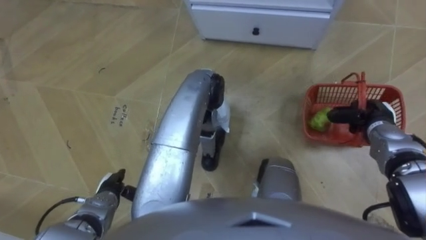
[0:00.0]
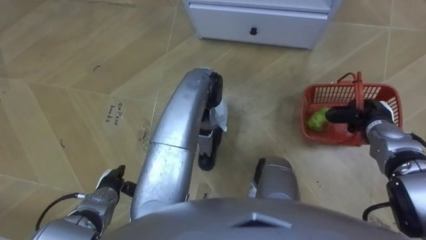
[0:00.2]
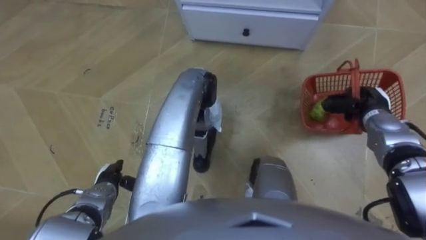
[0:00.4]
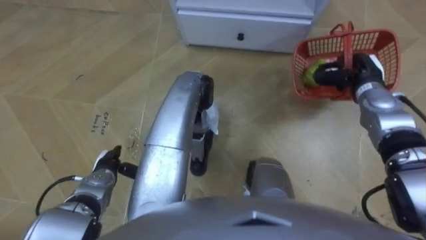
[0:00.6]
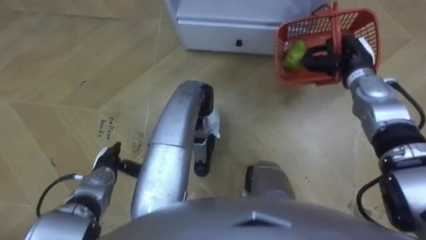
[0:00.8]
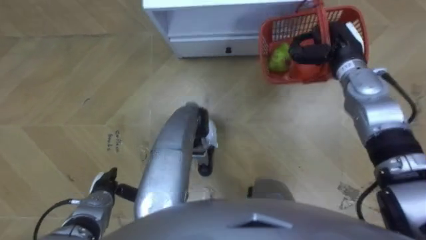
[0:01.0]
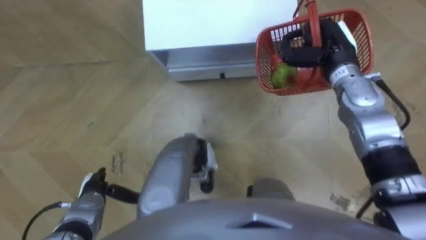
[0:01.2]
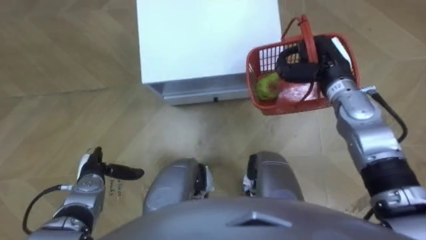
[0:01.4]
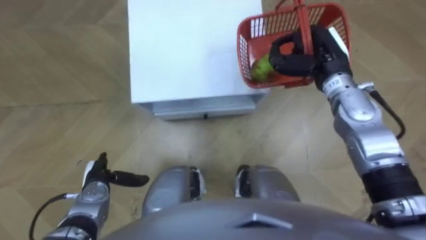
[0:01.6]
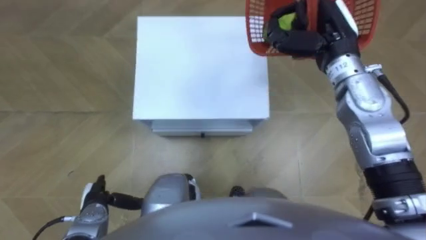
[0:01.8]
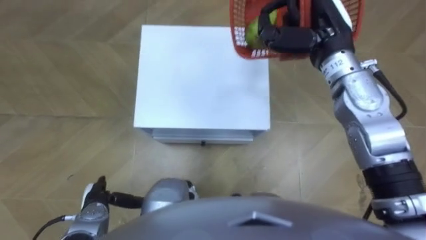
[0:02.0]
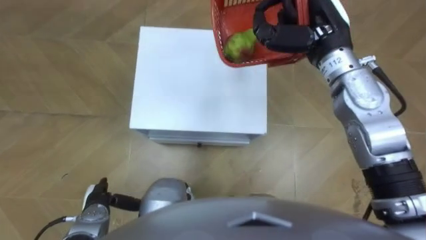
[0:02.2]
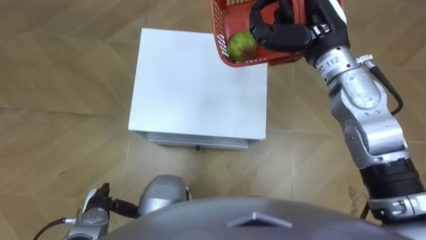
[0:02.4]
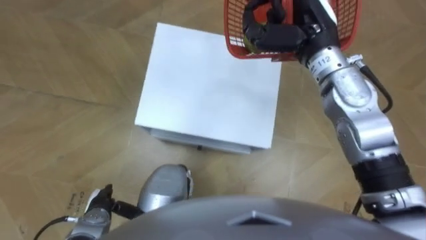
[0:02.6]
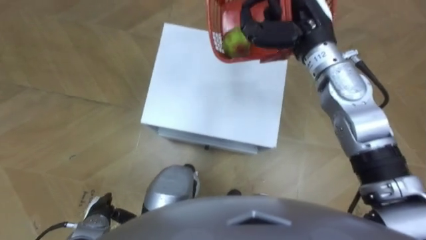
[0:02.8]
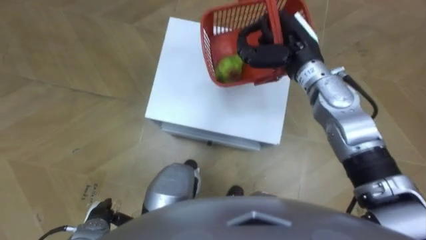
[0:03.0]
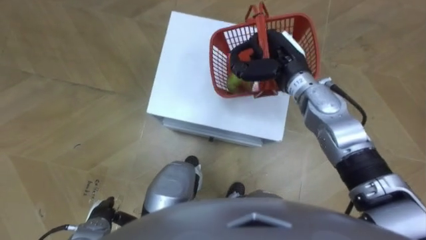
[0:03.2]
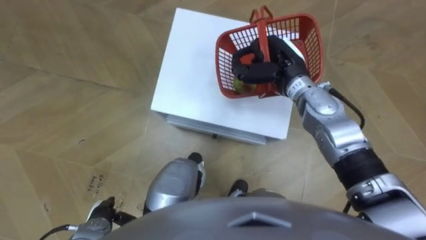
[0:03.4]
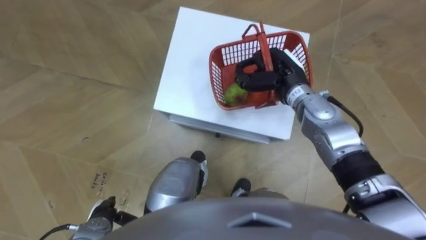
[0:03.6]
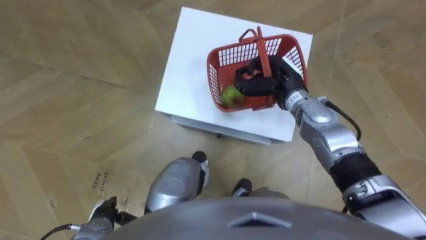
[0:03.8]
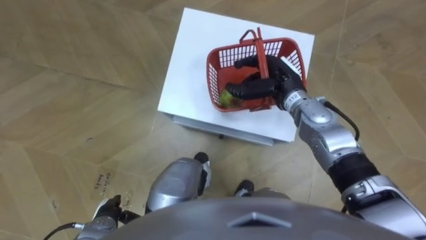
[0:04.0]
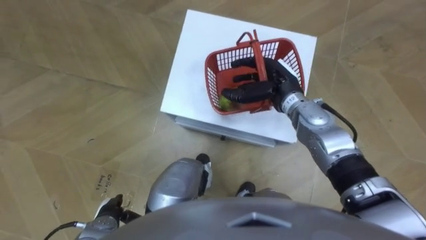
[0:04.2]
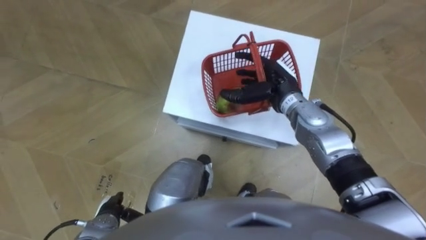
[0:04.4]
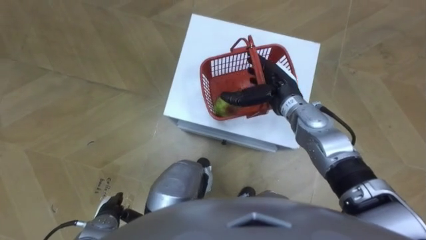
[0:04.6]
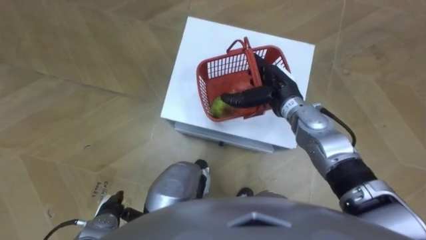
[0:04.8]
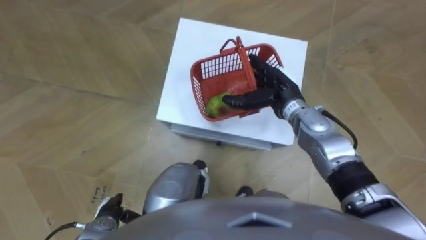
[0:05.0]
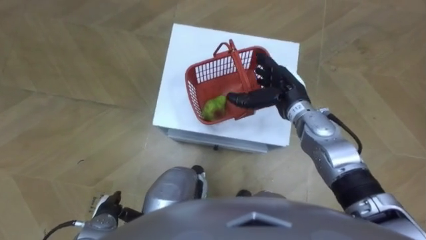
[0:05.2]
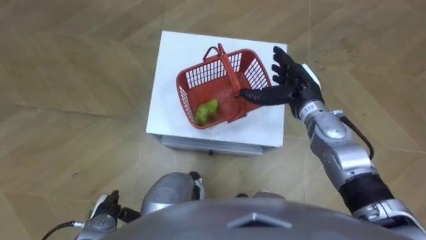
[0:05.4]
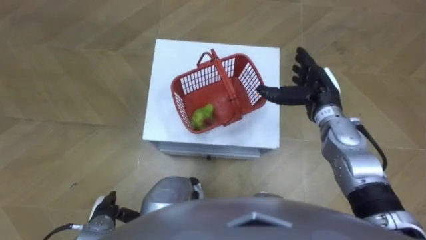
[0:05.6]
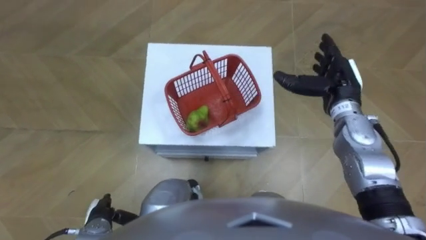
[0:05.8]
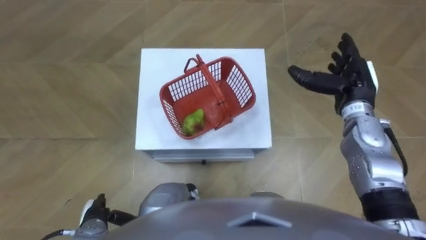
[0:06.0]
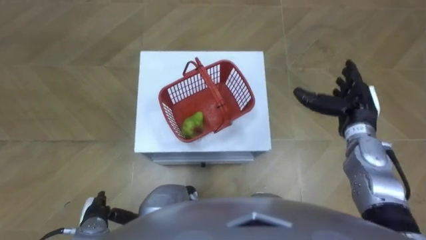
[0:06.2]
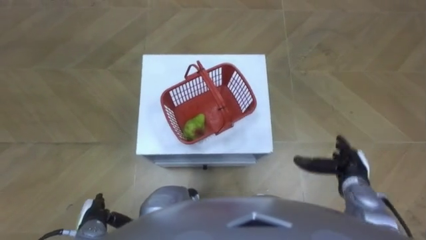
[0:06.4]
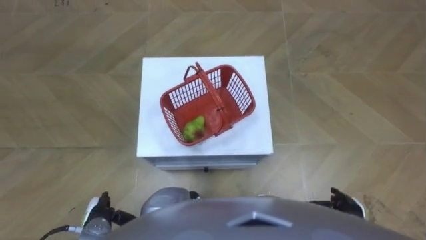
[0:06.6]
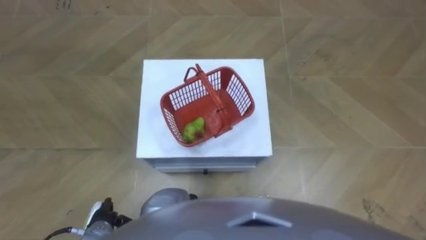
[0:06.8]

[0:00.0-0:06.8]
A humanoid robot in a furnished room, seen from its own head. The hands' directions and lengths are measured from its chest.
Task of the whole recording: Pick up the fruit basket from the floor and place it on the cabinet.
0:00.0 to 0:01.4: The right hand shifts about 20 cm to the left, upward and forward; the left hand ends up roughly 5 cm from where it was.
0:01.4 to 0:02.8: The right hand travels upward and to the left by some 10 cm. Meanwhile the left hand is displaced backward by about 10 cm.
0:02.8 to 0:04.0: The right hand is displaced downward by roughly 15 cm, and opens up.
0:04.0 to 0:05.4: The right hand opens.
0:05.4 to 0:06.8: The right hand moves backward and downward, approximately 30 cm.

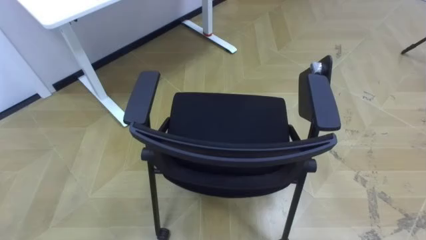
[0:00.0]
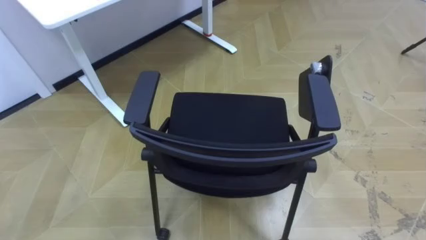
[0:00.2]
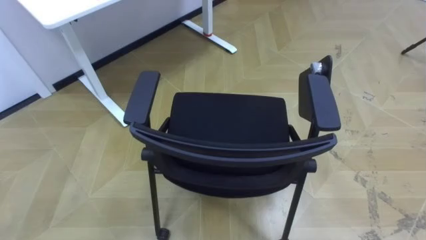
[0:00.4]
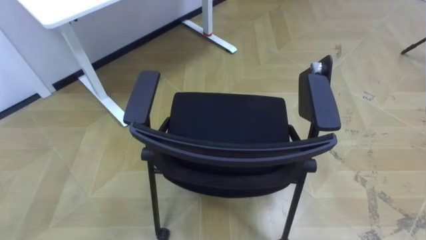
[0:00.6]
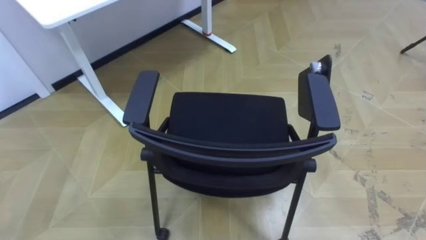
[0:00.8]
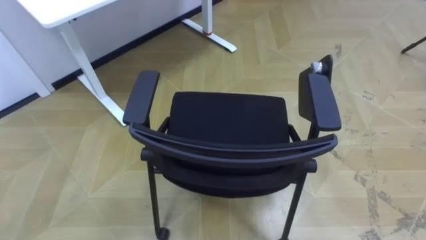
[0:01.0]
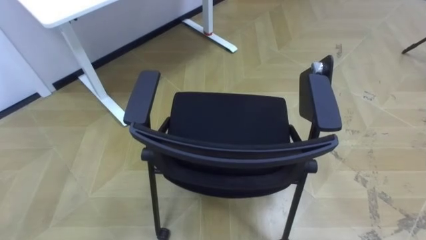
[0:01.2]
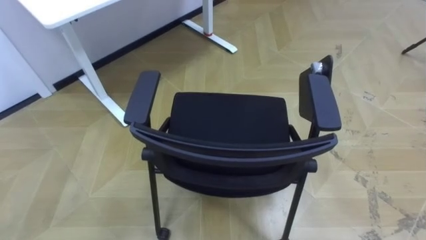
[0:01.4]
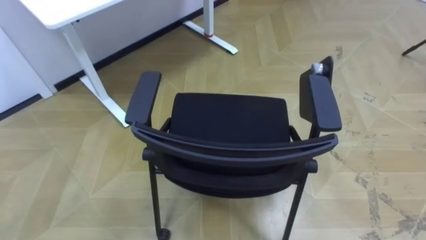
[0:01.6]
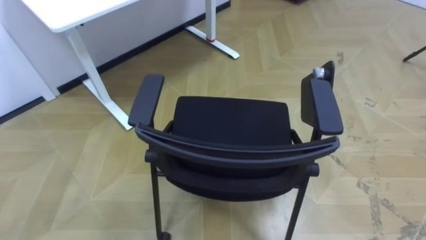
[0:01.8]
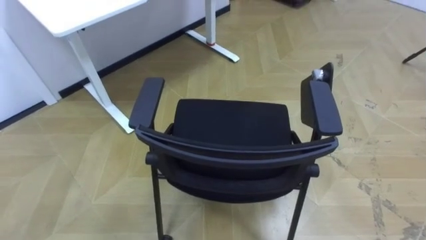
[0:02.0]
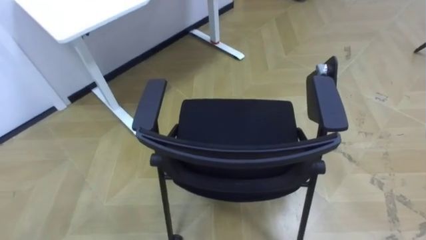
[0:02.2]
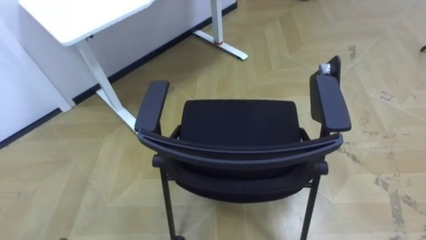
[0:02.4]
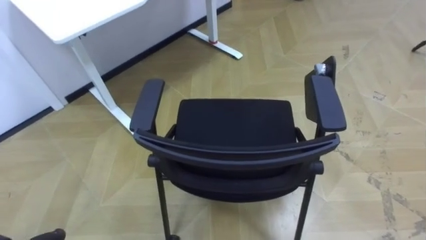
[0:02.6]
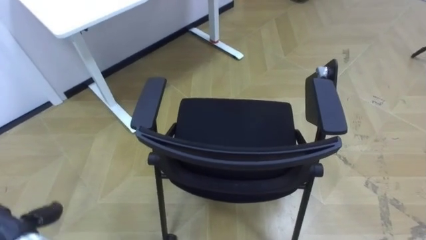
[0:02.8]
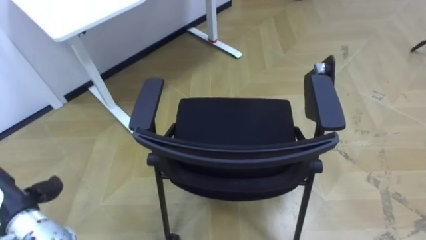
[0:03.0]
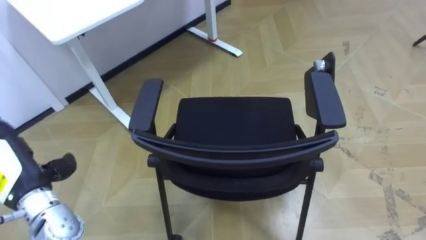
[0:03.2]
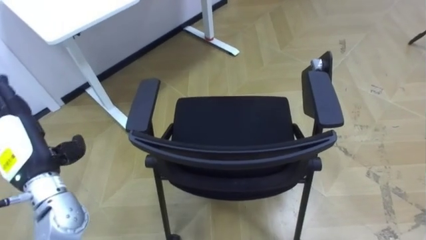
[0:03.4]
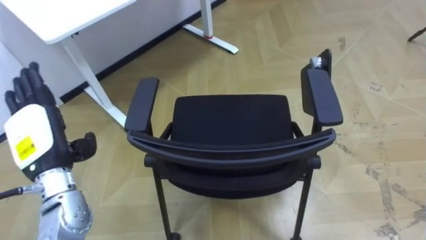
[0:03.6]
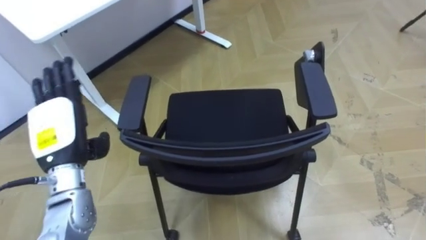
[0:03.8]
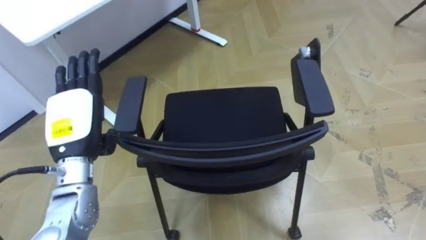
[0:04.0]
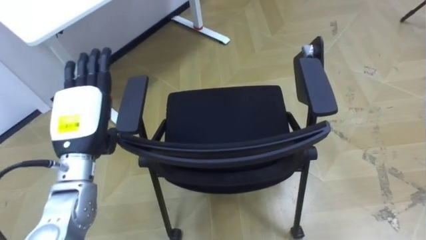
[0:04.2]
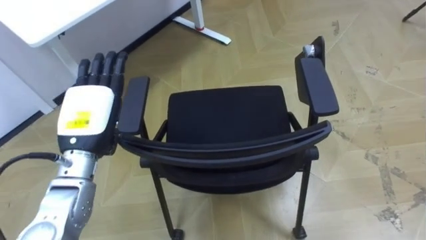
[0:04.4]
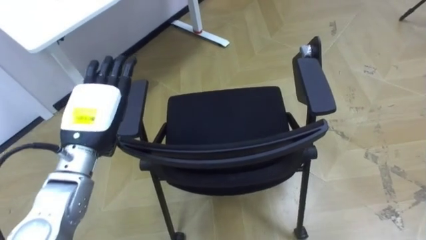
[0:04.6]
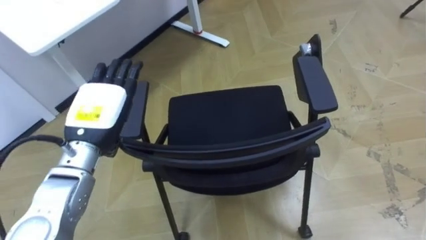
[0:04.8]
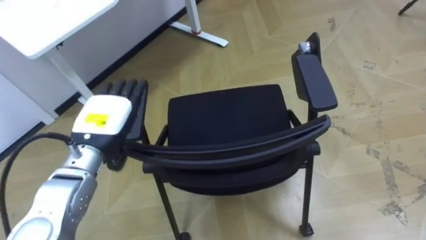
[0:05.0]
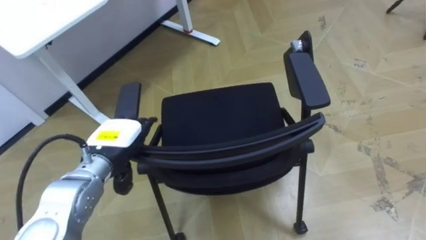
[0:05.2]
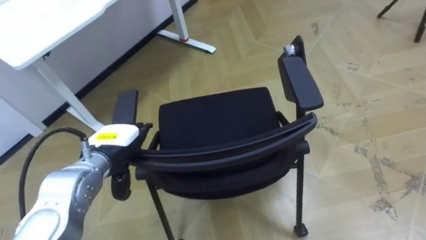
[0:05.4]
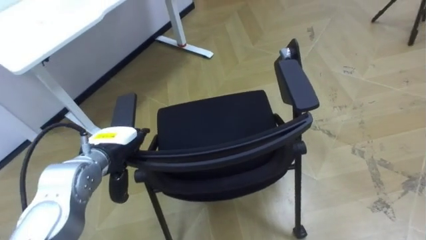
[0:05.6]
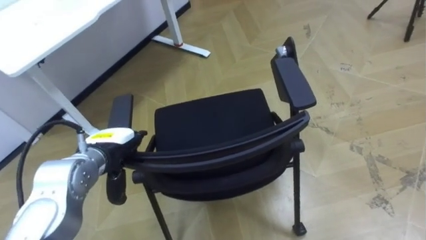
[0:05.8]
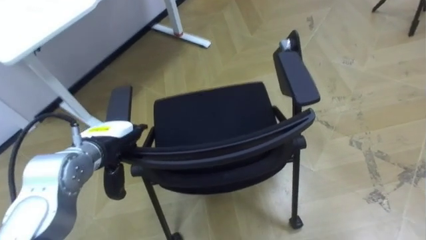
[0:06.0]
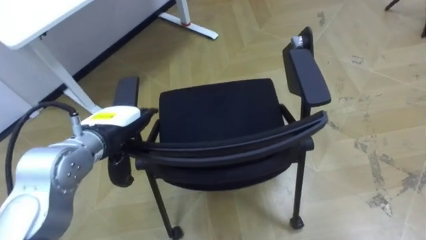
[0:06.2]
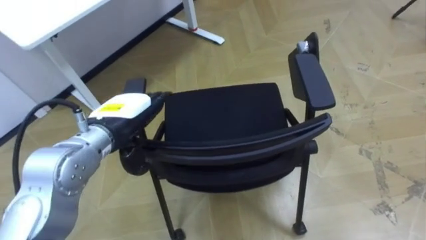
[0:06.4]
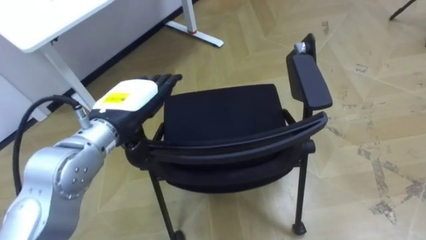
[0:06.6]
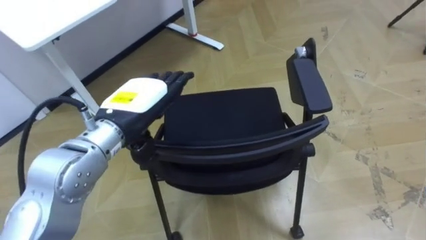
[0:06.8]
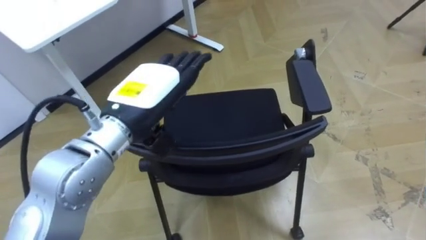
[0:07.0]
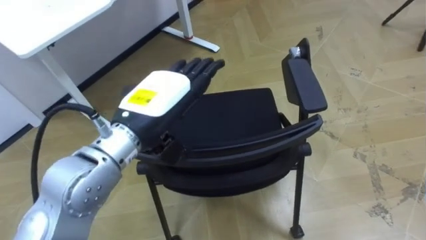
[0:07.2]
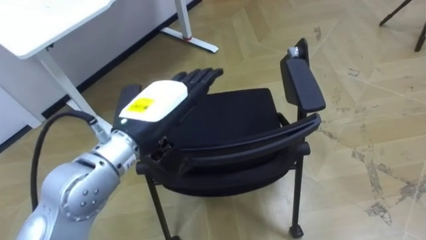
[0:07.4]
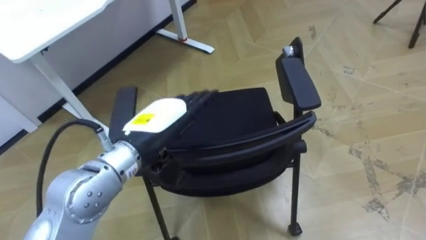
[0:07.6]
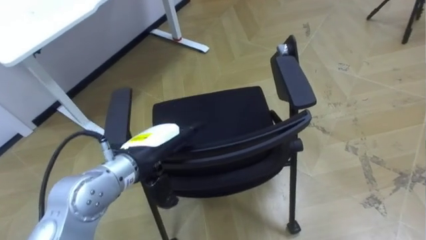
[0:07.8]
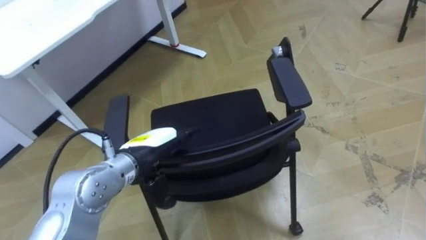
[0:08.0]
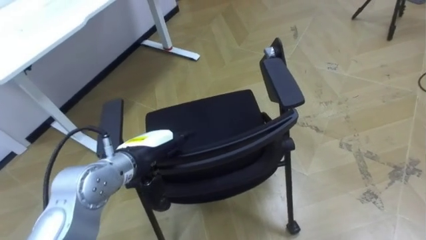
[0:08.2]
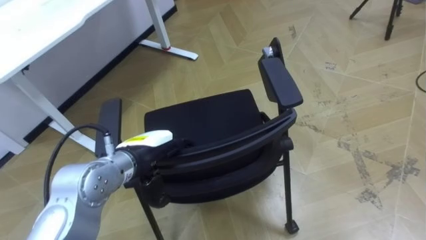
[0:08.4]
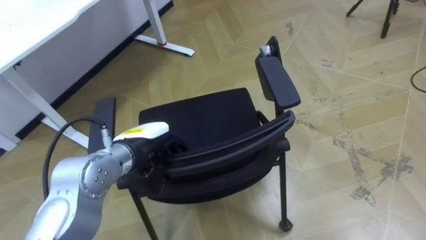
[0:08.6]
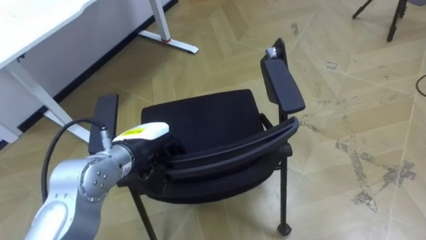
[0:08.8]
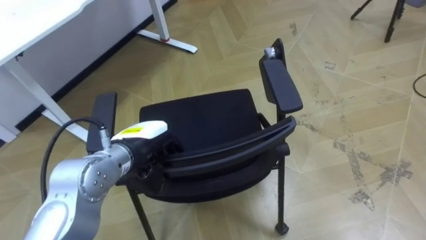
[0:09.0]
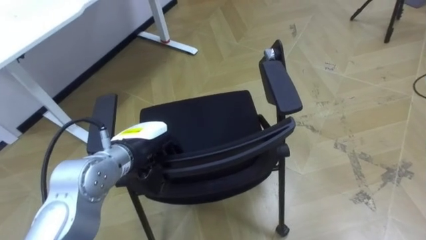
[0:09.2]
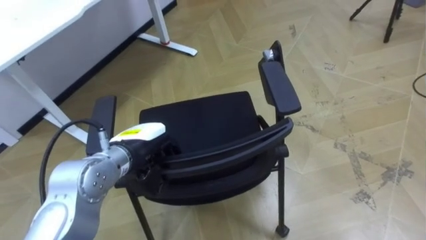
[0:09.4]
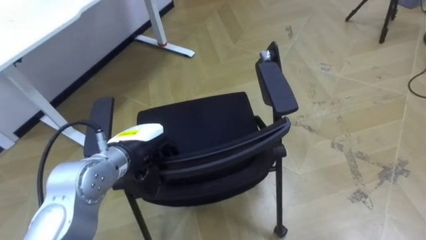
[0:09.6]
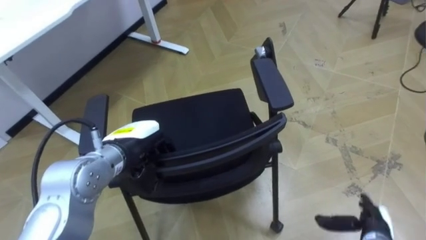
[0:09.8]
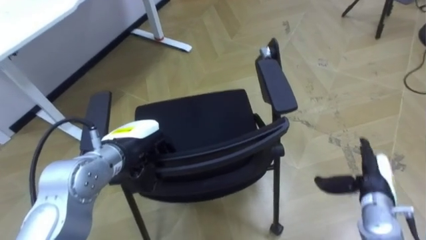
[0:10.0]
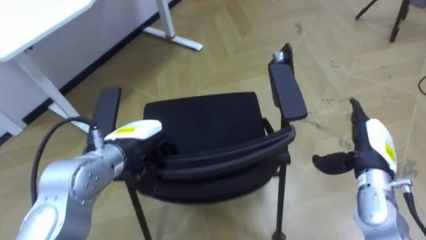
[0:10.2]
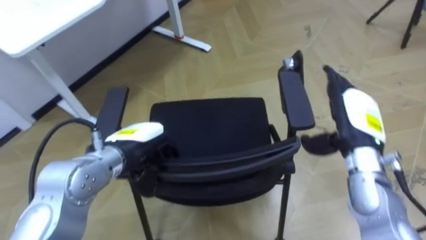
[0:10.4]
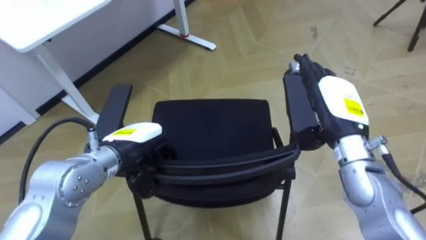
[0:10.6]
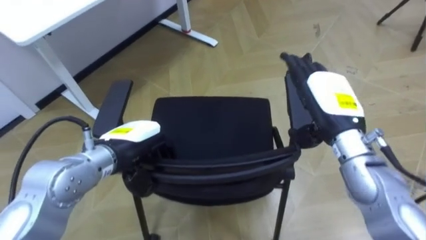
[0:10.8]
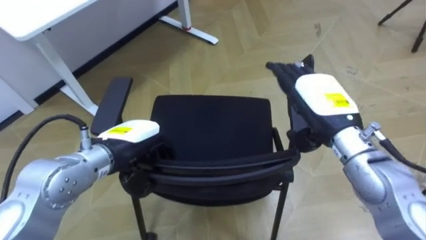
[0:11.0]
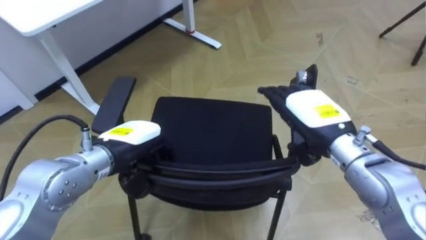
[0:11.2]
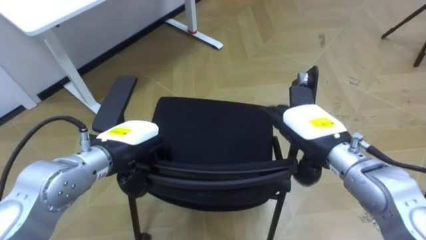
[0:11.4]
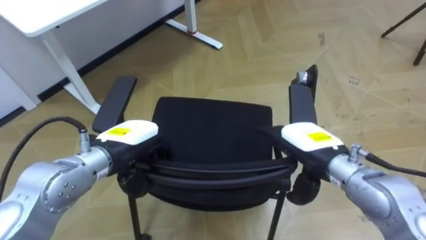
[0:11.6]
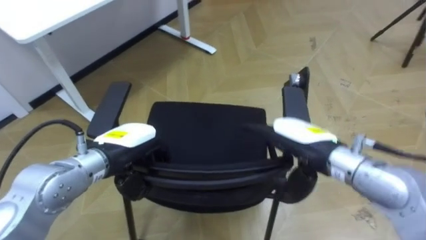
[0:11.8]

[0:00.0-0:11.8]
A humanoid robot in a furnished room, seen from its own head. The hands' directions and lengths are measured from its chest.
Task of the whole recording: Push the chair under the table.
0:03.0 to 0:04.4: The left hand goes some 20 cm to the right, upward and forward.
0:04.4 to 0:06.0: The left hand shifts about 5 cm downward.
0:06.0 to 0:07.4: The left hand heads upward and to the right, covering some 15 cm.
0:07.4 to 0:08.8: The left hand goes approximately 10 cm downward, and closes its fingers.
0:10.4 to 0:11.8: The right hand goes approximately 10 cm to the left.
